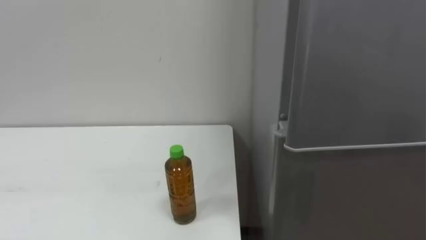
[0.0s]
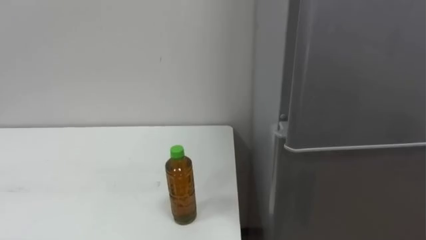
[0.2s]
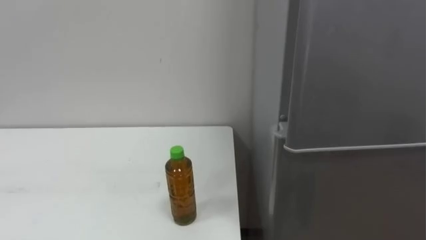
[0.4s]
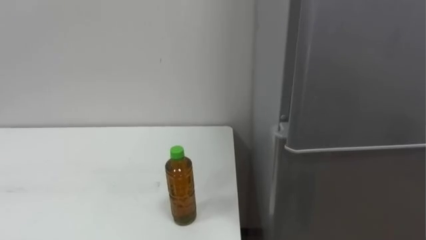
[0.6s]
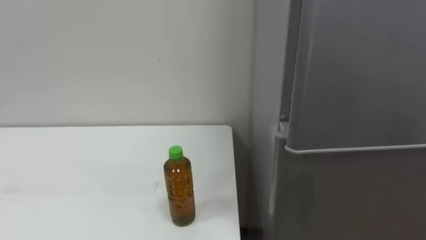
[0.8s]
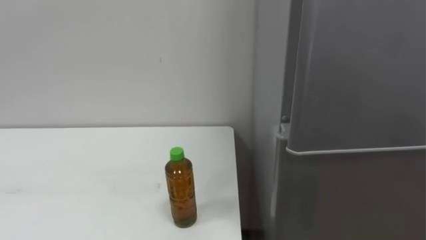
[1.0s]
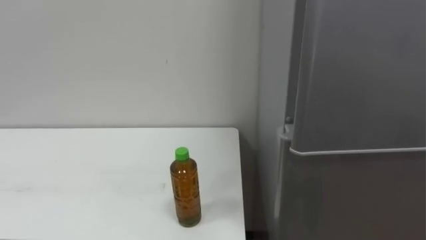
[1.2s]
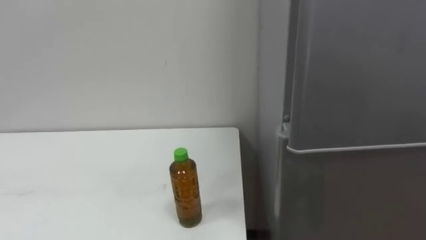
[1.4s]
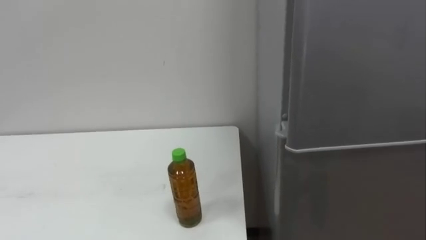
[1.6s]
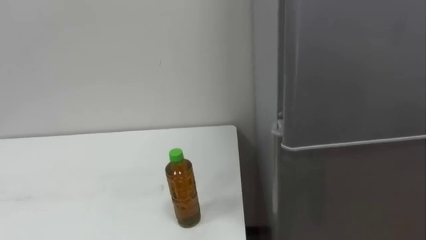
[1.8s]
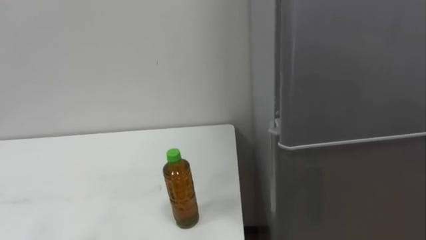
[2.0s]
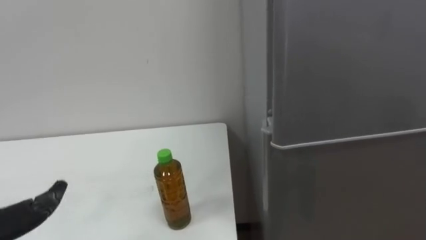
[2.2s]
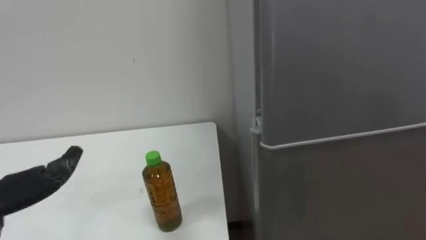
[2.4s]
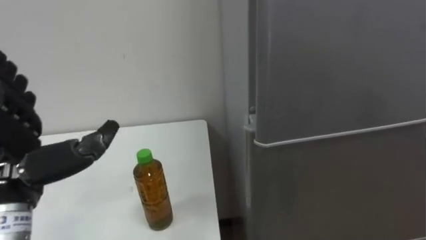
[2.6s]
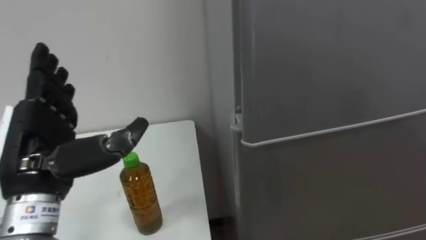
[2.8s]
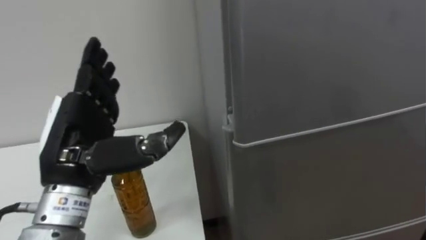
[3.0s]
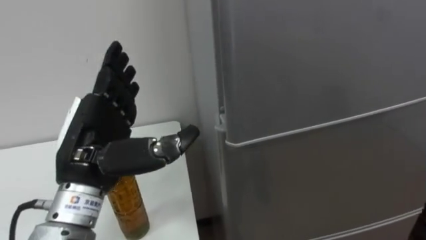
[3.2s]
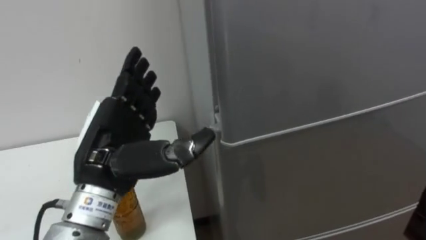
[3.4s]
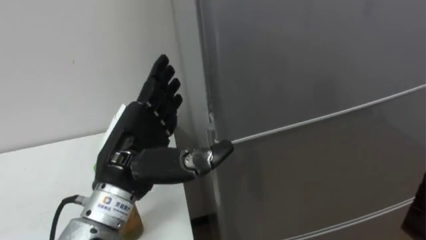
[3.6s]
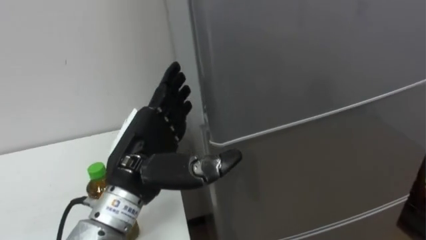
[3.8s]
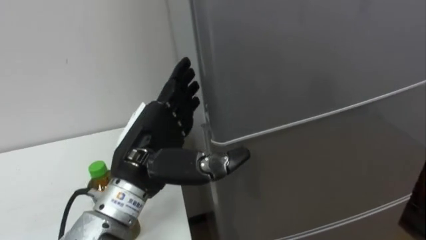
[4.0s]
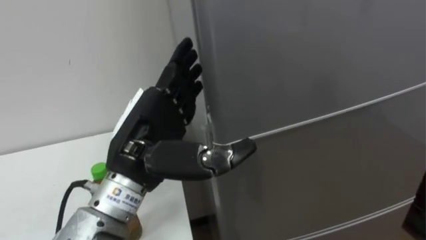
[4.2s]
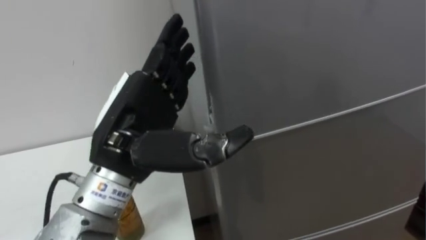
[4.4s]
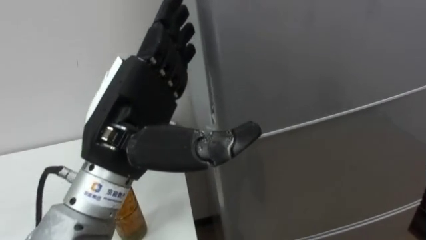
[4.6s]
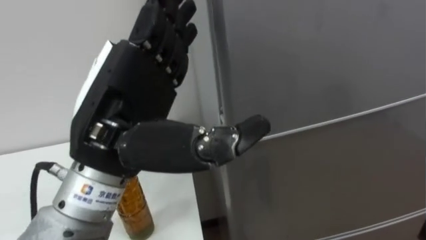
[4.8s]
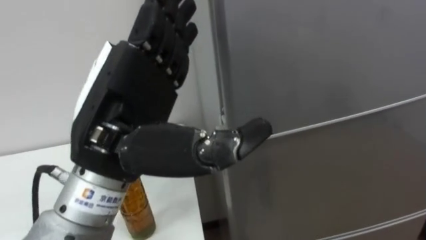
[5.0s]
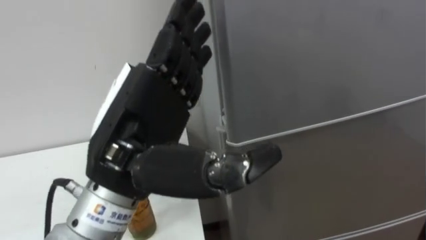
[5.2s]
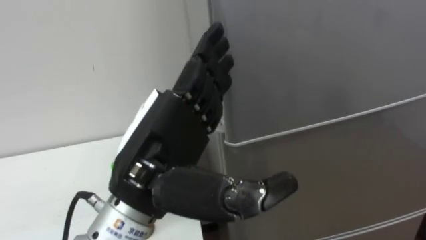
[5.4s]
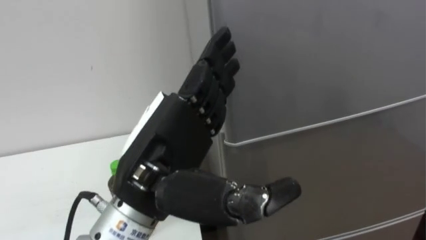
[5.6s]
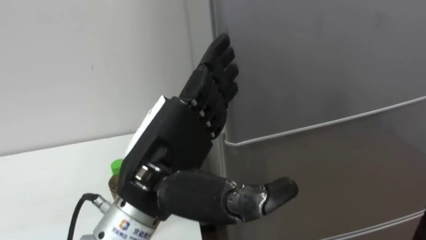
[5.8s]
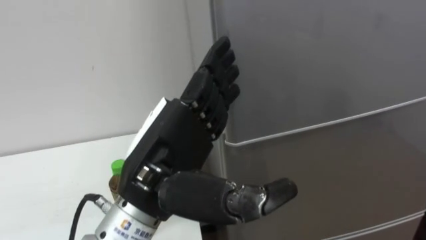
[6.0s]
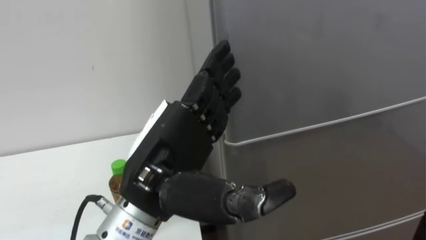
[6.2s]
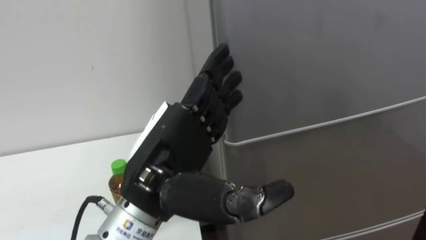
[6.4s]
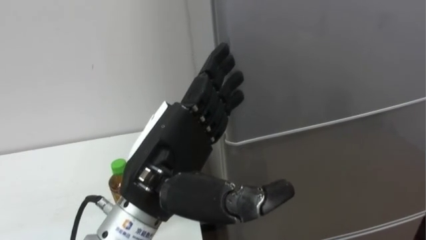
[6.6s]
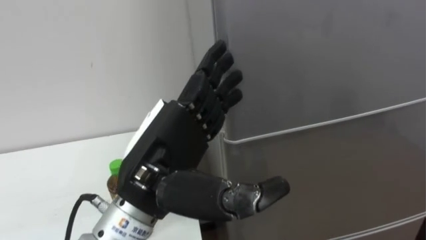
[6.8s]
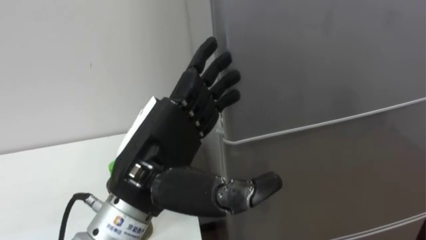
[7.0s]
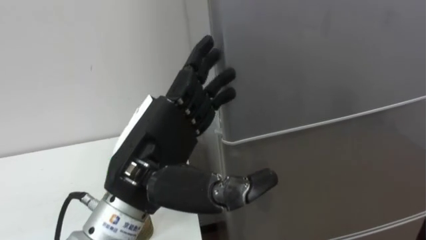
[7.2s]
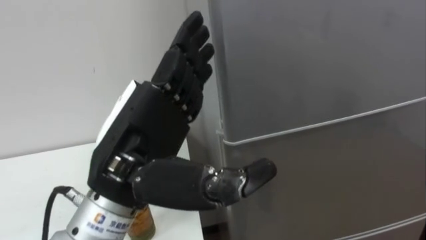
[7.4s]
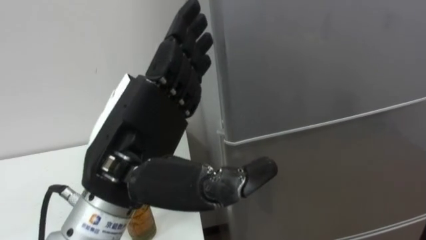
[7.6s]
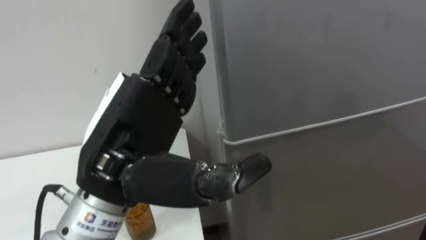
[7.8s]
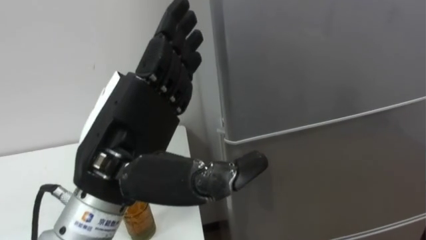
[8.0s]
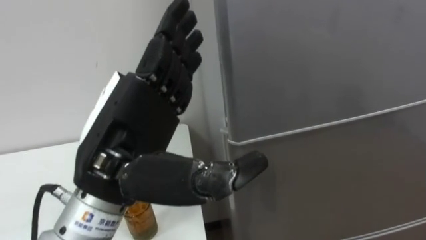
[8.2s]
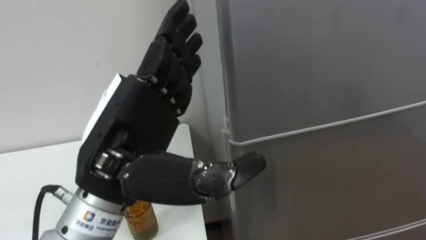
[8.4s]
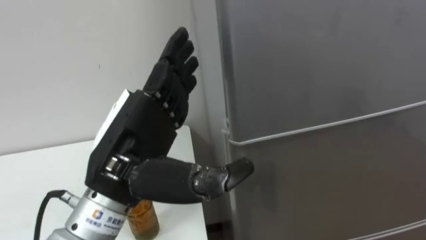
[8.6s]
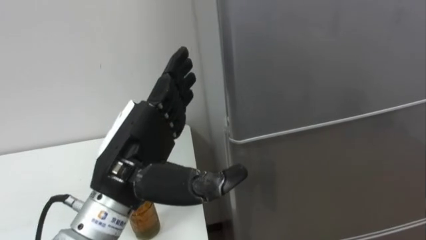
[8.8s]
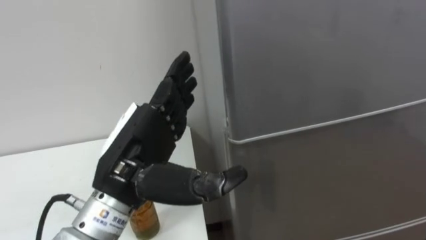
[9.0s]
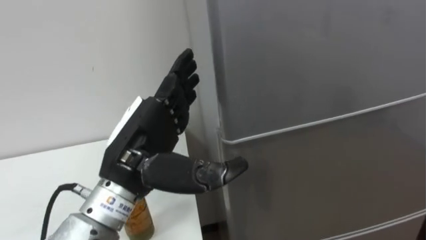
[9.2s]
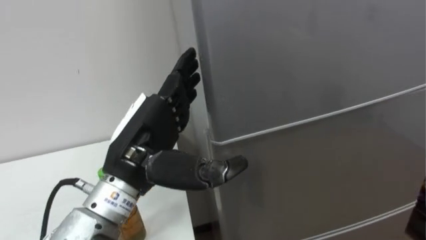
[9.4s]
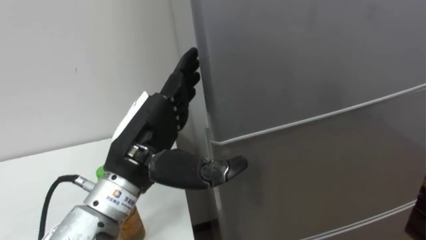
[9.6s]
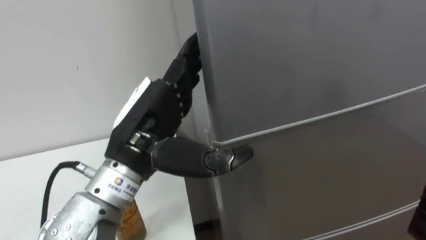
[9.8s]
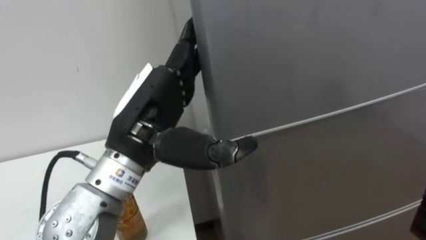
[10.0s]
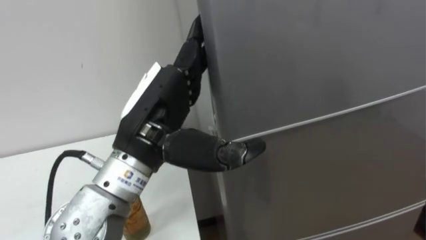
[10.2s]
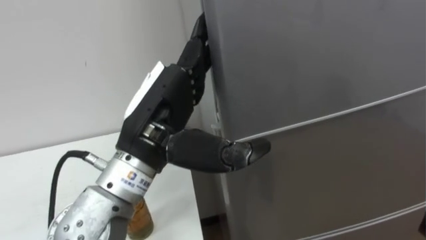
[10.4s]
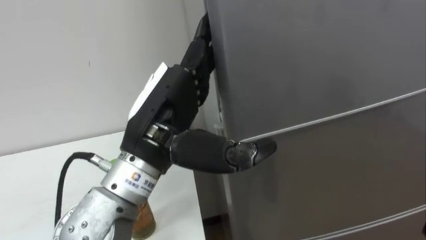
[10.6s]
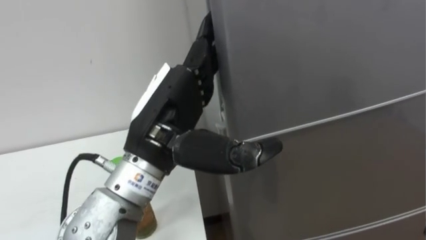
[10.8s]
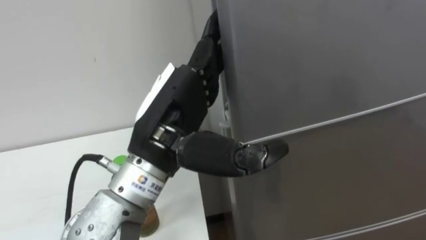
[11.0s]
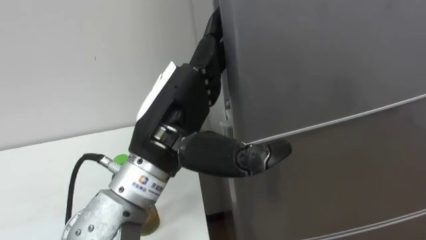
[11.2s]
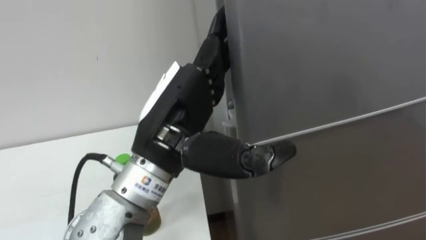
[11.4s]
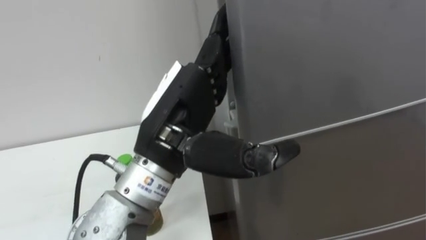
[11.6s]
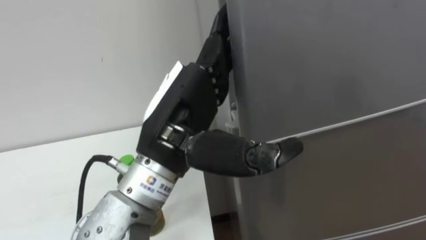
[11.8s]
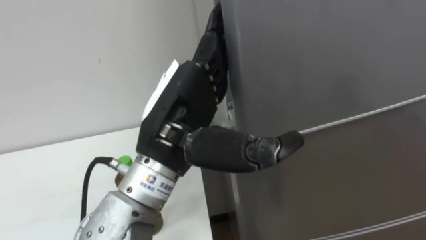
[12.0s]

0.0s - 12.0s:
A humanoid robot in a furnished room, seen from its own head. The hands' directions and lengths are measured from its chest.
Task of the whole recording: Open the upper refrigerator door, put the drink from the table into the refrigerator, and then close the refrigerator door.
3.0s - 4.4s: The left hand heads to the right, covering some 10 cm.
4.4s - 6.0s: The left hand ends up approximately 5 cm from where it was.
7.6s - 9.0s: The left hand ends up about 5 cm from where it was.
9.0s - 10.4s: The left hand changes place by roughly 5 cm.

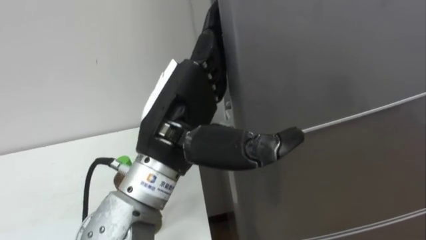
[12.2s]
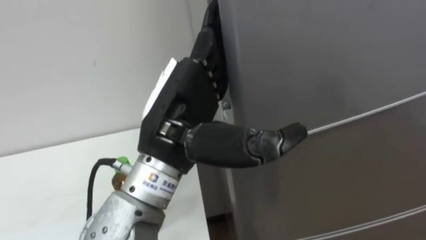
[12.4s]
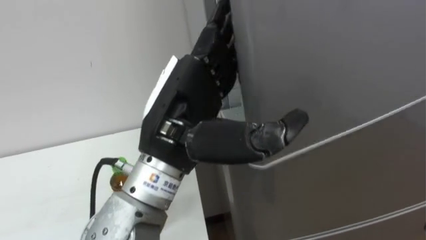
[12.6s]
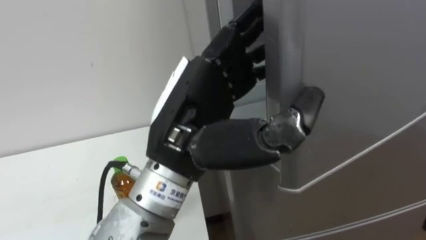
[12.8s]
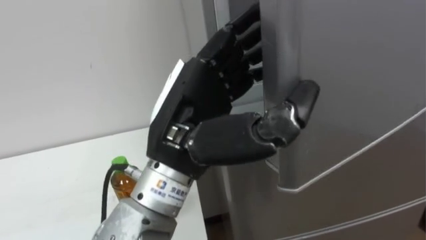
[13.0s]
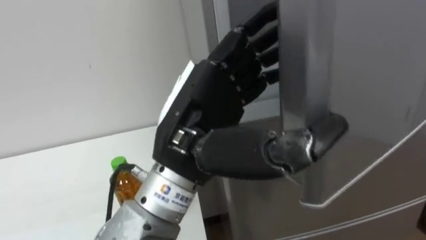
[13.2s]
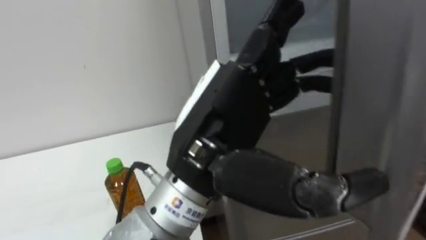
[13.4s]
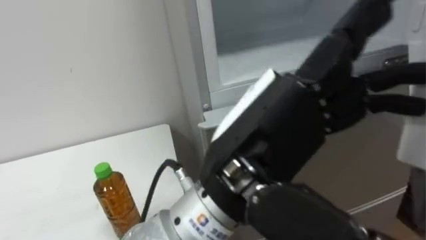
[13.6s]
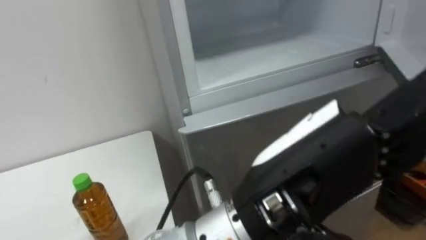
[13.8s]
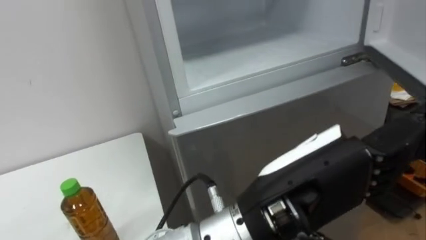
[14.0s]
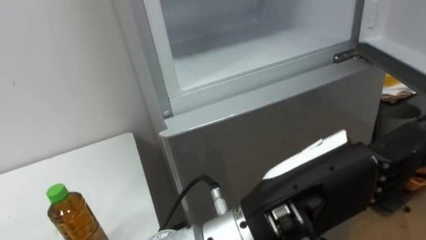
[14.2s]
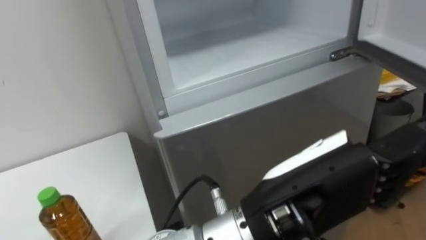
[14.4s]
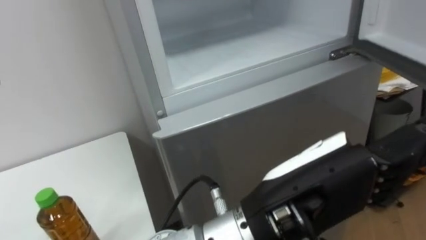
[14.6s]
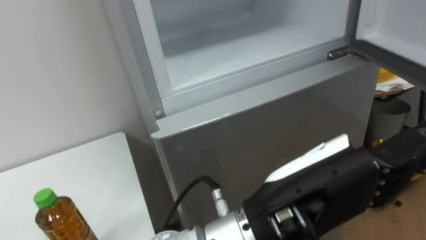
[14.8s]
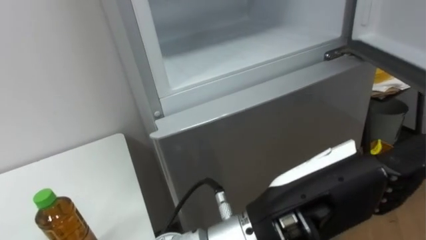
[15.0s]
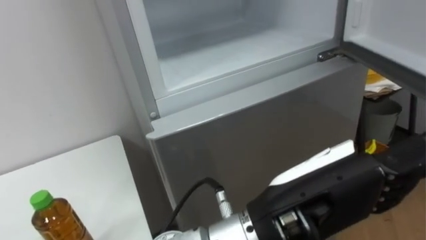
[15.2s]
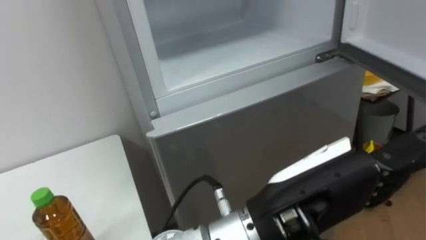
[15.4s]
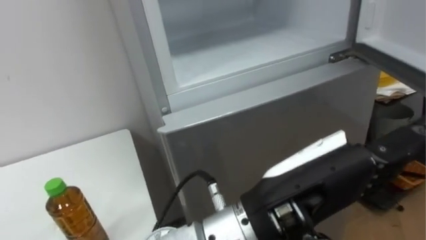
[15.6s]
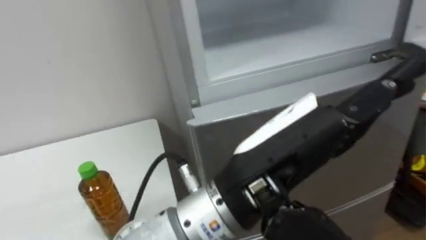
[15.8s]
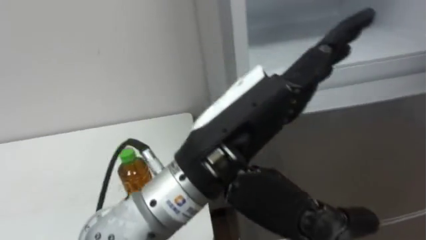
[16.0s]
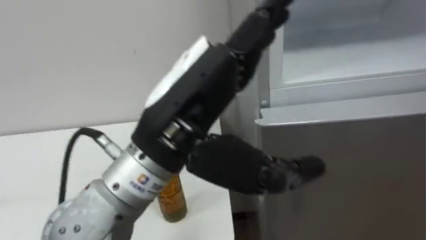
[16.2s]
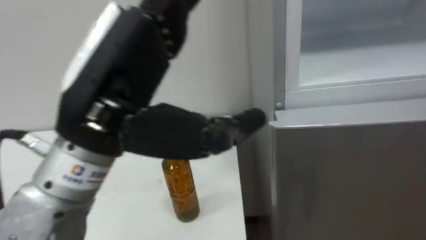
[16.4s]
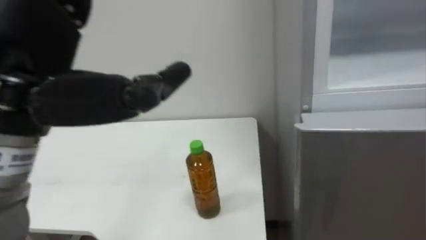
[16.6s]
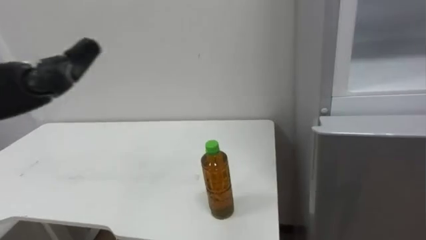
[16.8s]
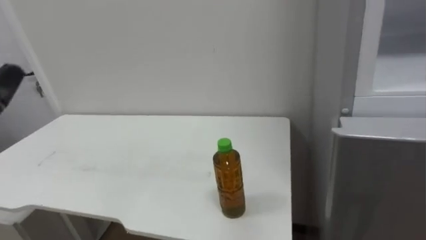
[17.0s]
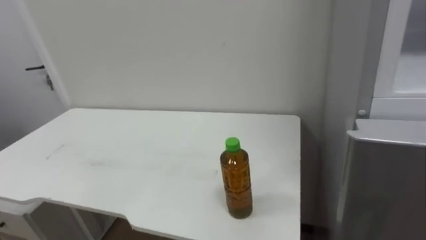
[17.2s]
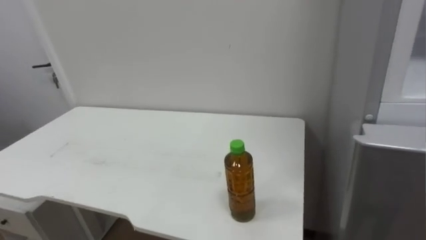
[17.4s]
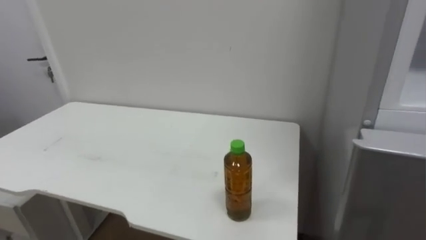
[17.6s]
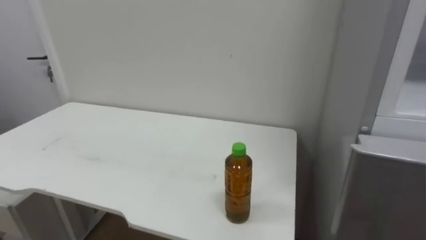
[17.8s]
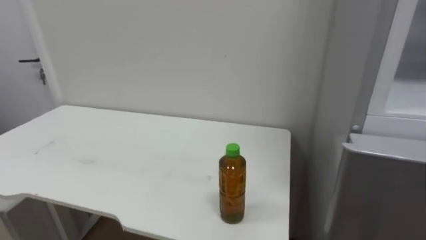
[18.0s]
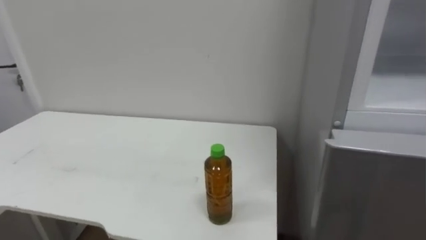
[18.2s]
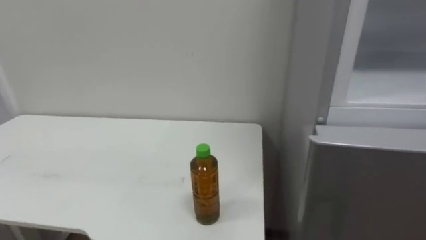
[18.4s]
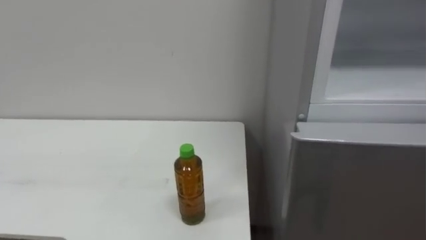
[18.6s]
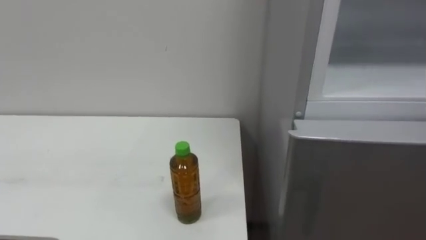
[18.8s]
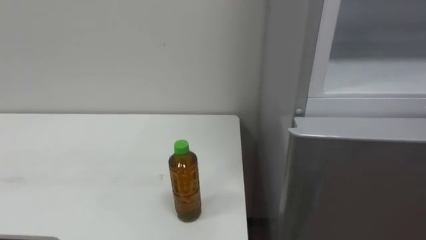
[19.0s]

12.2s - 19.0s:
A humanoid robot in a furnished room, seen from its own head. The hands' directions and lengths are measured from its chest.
Task of the whole recording: Open the upper refrigerator door, put the drink from the table into the refrigerator, and then close the refrigerator door.
12.2s - 13.6s: The left hand goes about 10 cm backward and to the right.
13.6s - 15.0s: The left hand ends up approximately 5 cm from where it was.
15.0s - 16.2s: The left hand shifts about 15 cm to the left, forward and upward.
